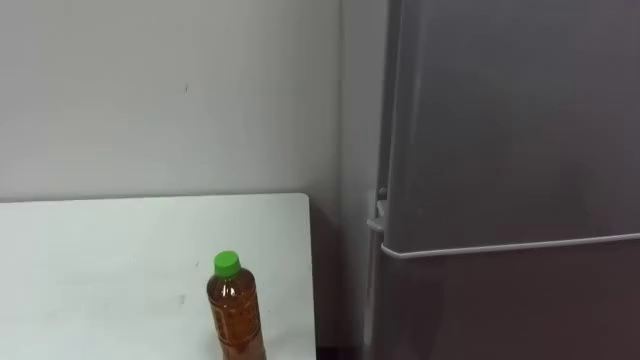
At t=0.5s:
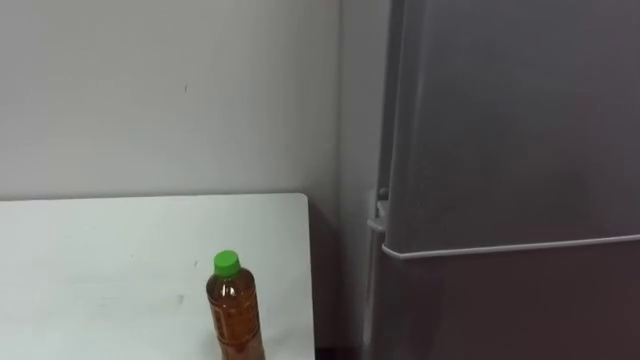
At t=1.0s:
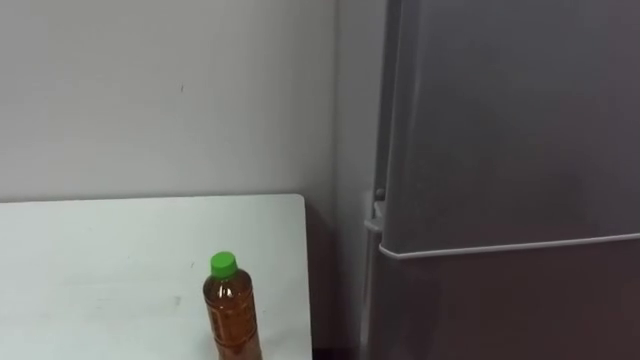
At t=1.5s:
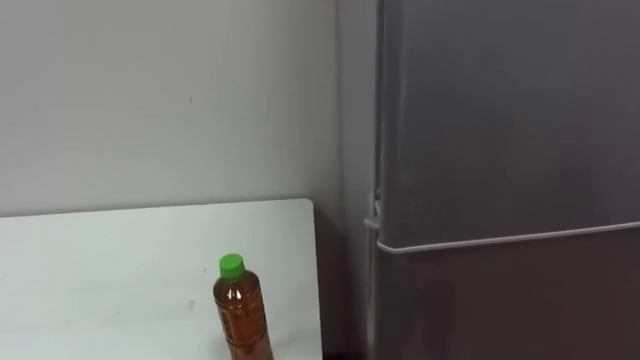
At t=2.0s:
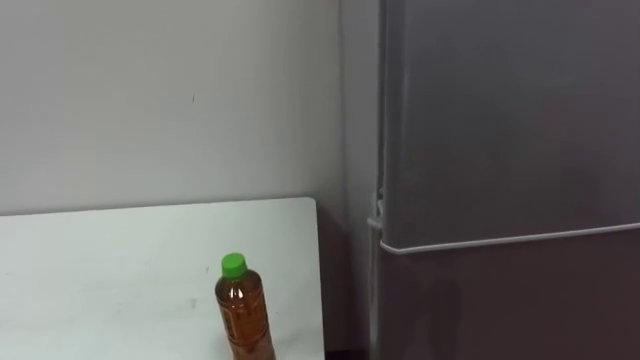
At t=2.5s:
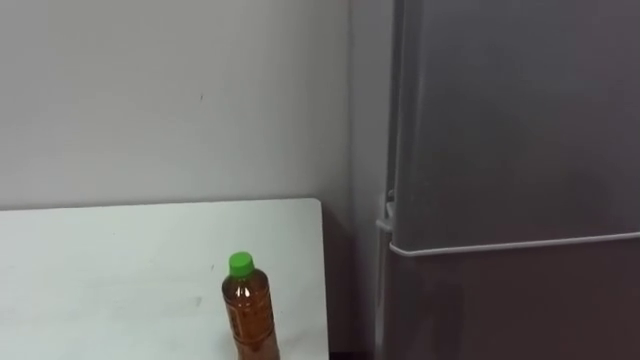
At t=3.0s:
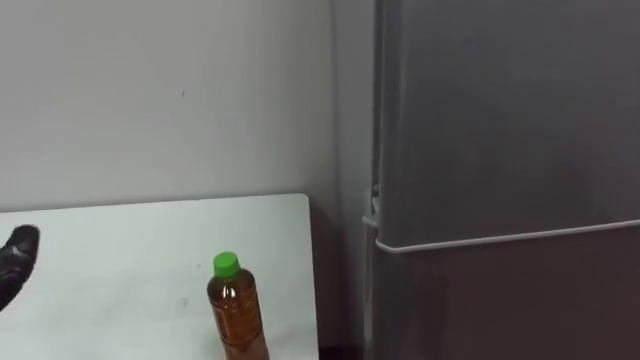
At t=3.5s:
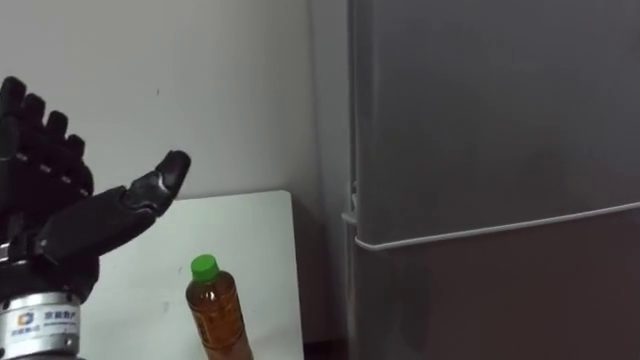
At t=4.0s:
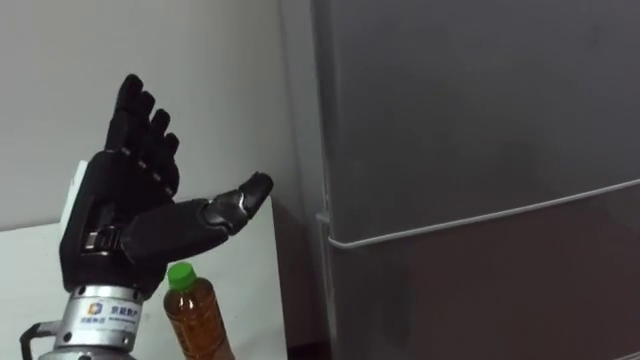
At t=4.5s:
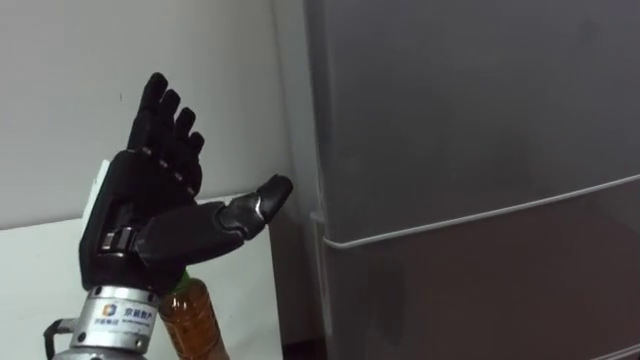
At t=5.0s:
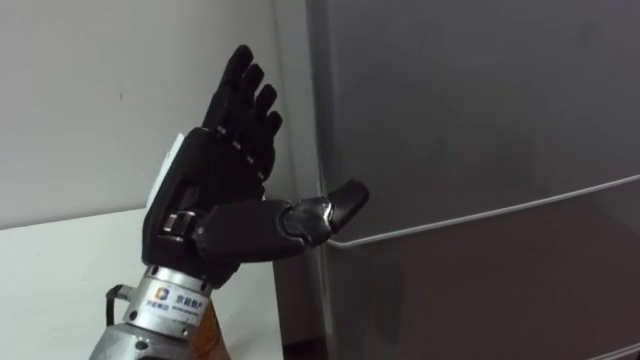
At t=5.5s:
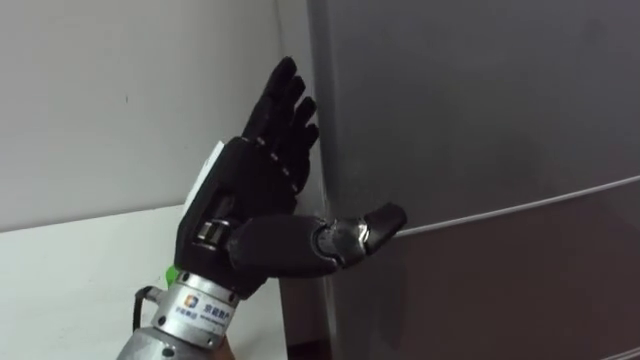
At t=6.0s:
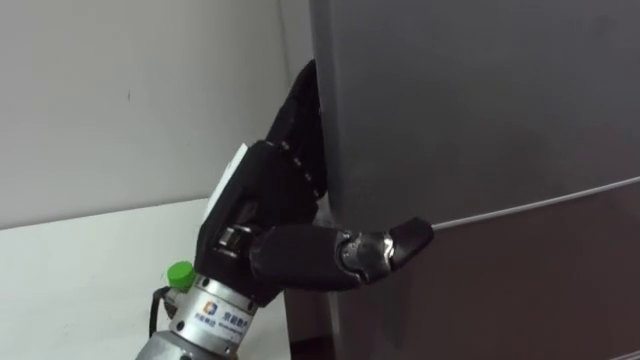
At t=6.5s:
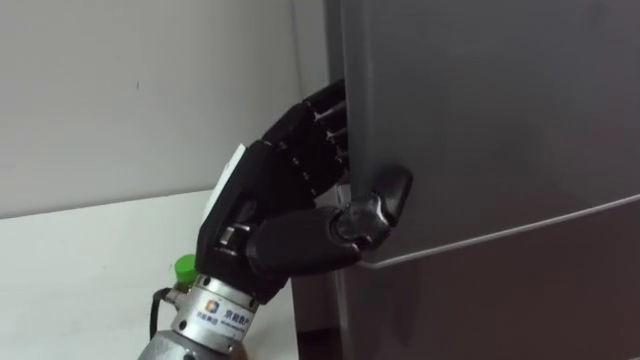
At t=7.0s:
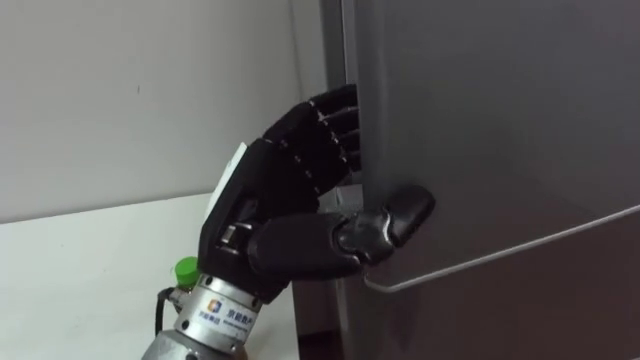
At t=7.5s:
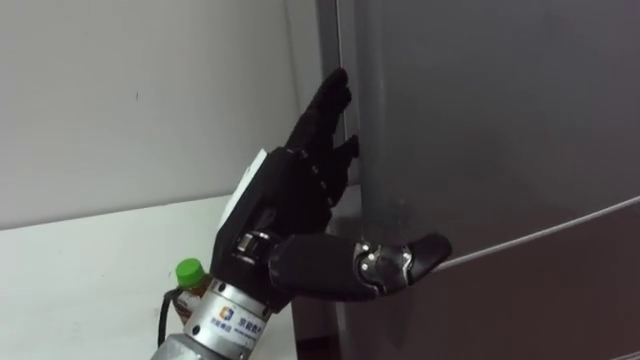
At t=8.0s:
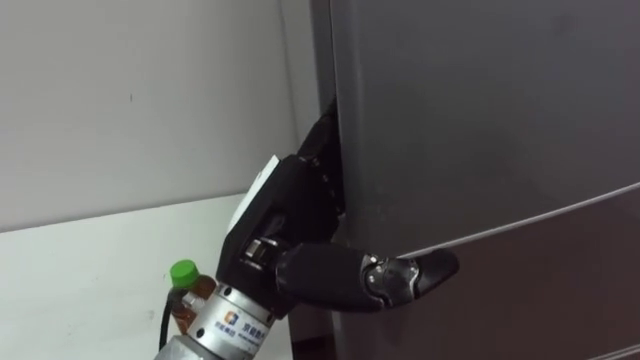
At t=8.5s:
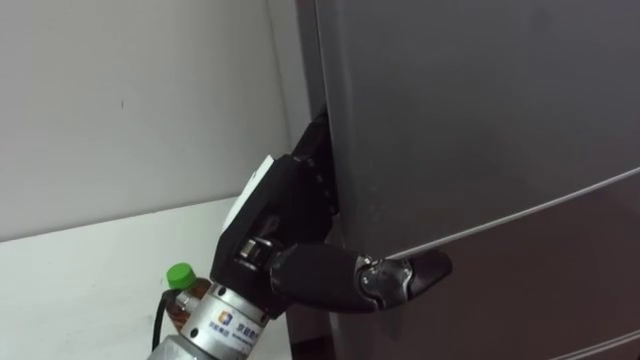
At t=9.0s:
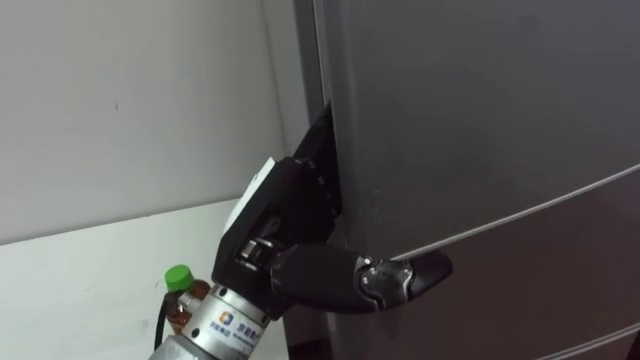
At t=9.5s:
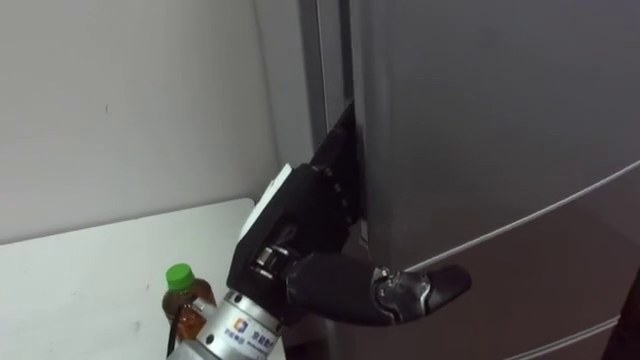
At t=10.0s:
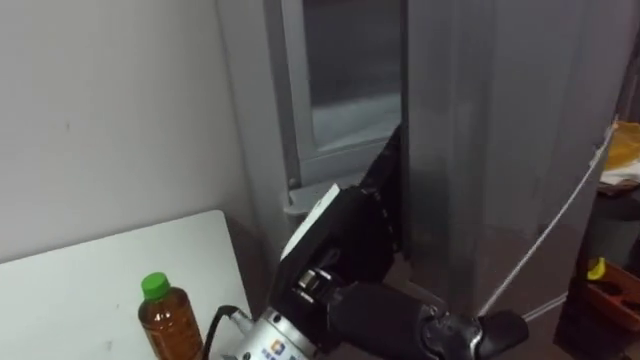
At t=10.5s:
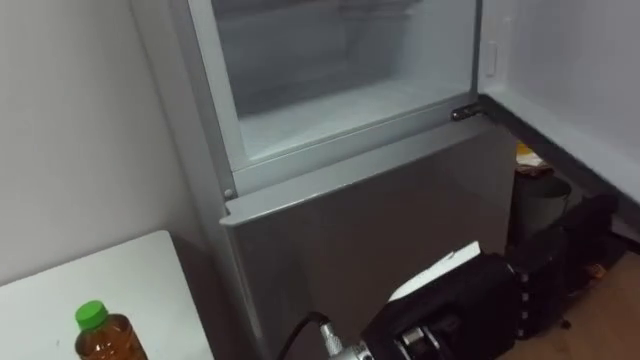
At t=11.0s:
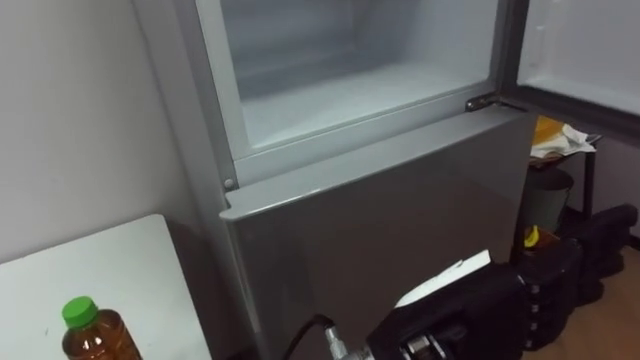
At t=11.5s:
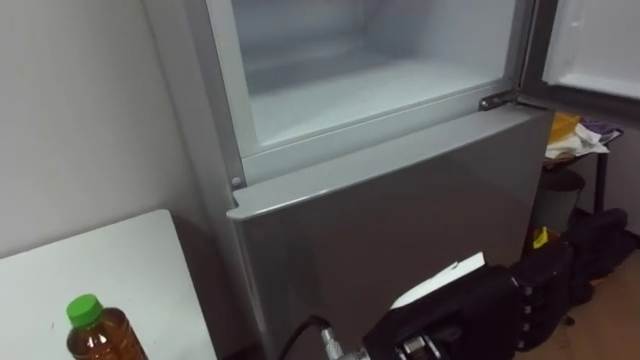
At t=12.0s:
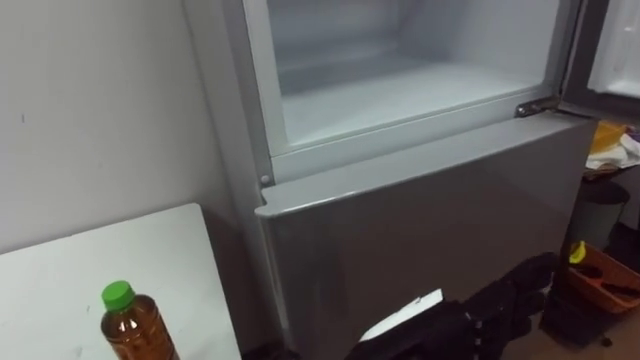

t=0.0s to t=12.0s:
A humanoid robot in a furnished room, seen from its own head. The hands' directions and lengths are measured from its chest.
Task of the whole recording: Open the upper refrigerator door, put the drink from the table into the refrigerator, and then close the refrigerator door.
t=4.0s to t=6.0s: The left hand shifts about 10 cm to the right.
t=6.0s to t=8.0s: The left hand closes, then reopens.
t=10.0s to t=12.0s: The left hand shifts about 10 cm downward and to the right.

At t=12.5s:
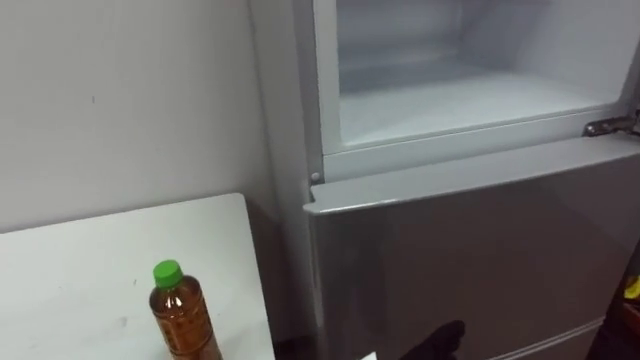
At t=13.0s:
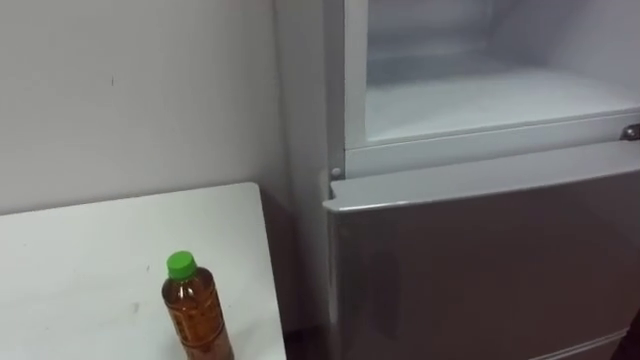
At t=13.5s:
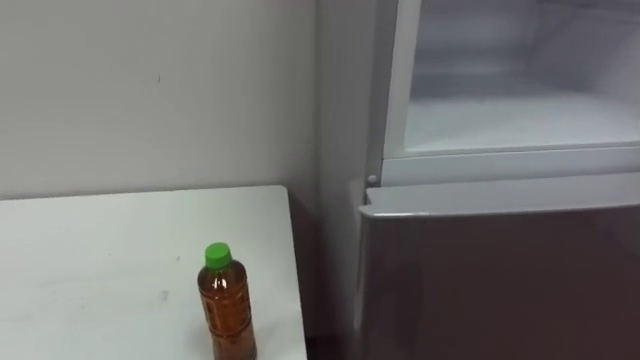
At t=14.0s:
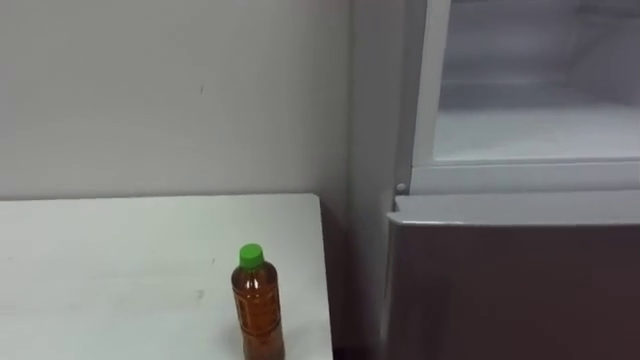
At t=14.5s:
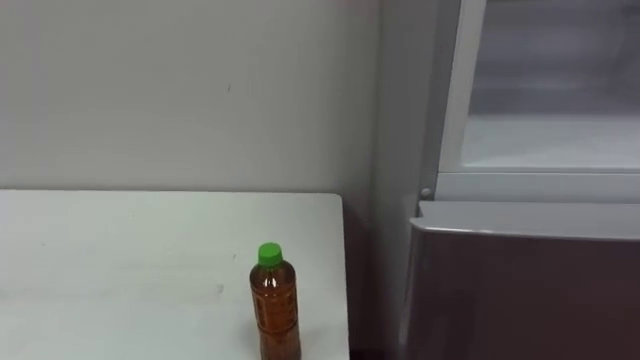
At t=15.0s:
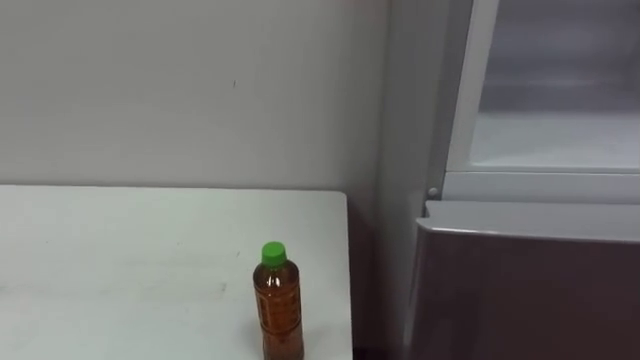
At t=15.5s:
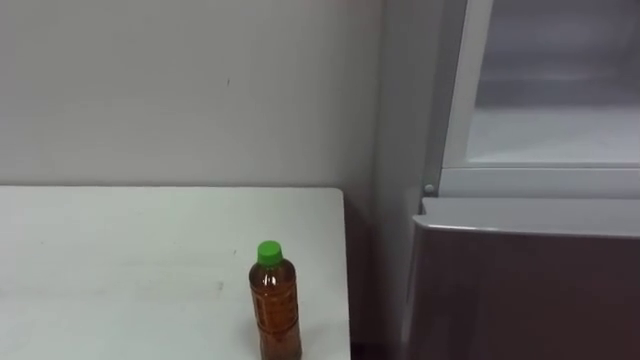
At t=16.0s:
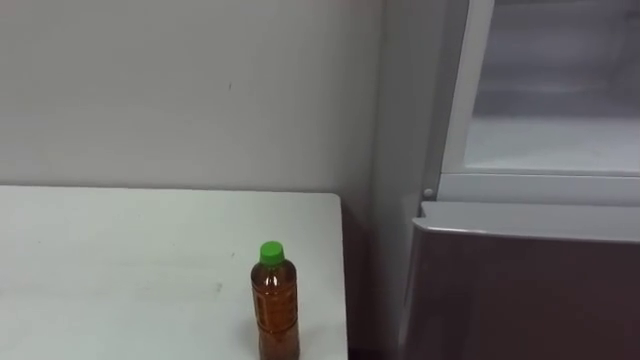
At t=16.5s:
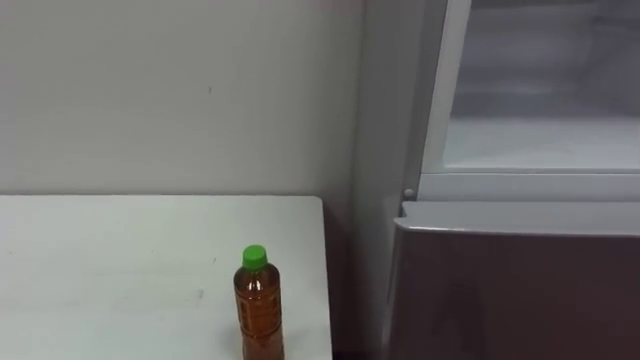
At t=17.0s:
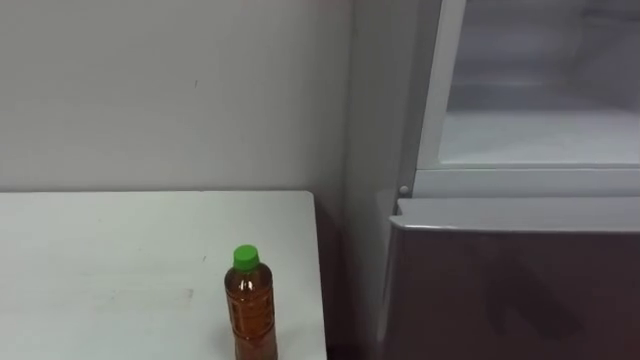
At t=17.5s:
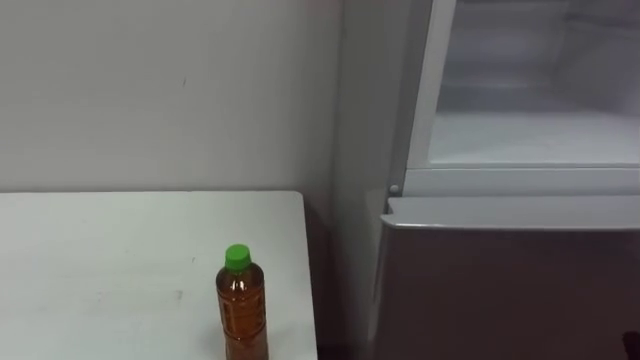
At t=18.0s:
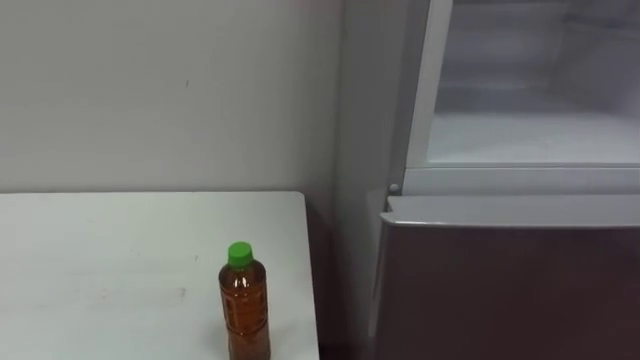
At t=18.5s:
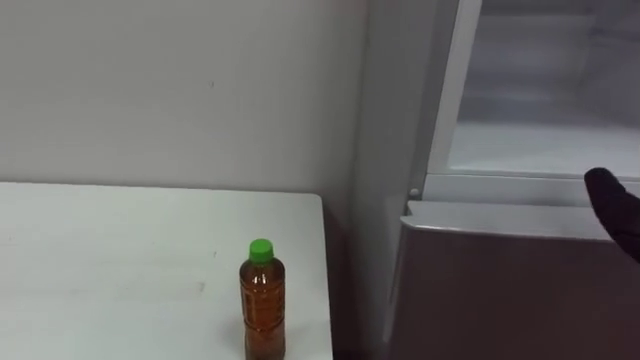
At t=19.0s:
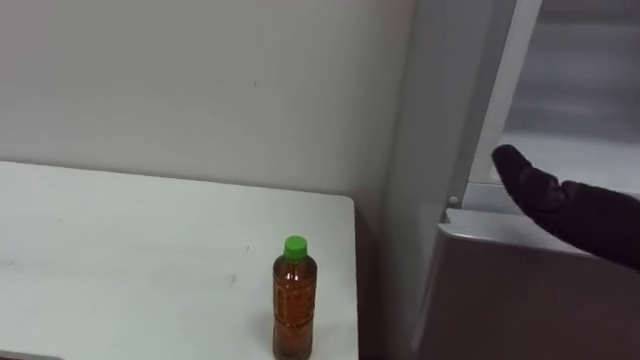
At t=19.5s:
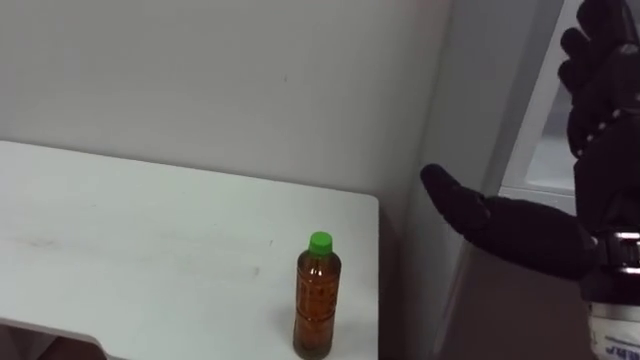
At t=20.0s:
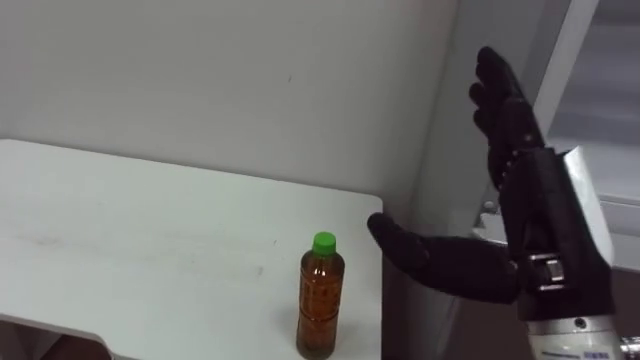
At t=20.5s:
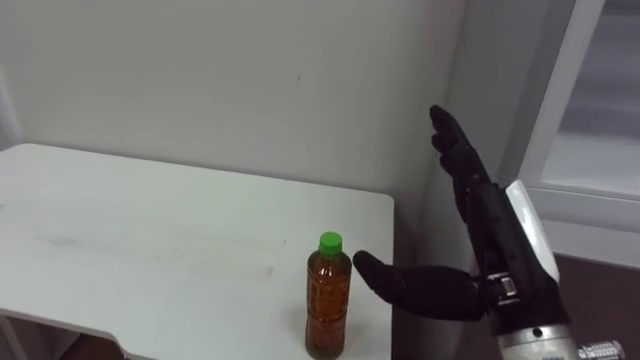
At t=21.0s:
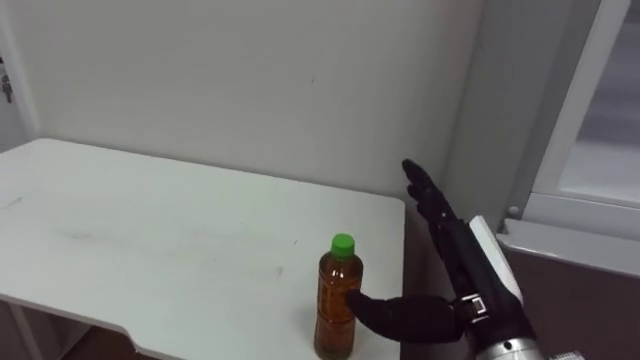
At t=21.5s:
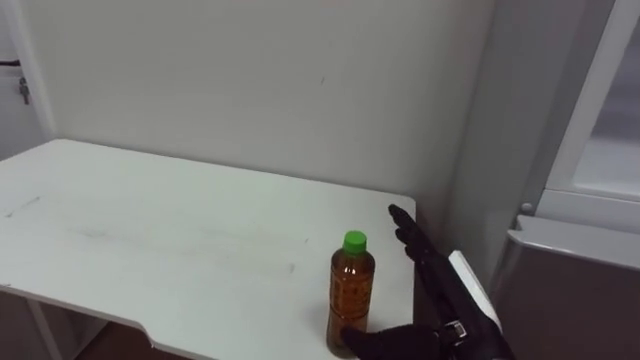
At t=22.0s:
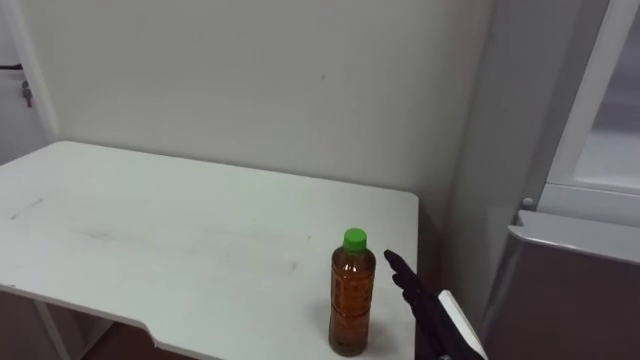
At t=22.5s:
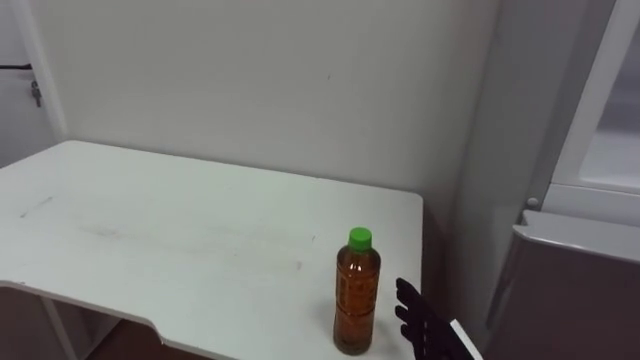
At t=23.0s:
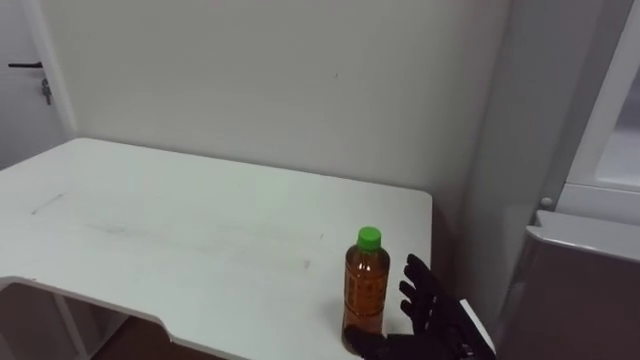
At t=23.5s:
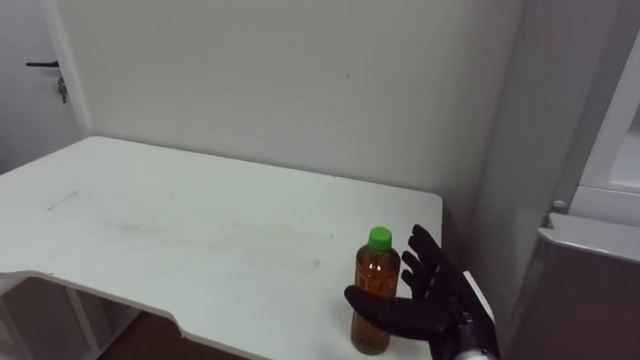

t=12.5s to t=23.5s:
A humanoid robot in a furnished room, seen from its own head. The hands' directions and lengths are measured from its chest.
Task of the whole recording: Open the upper refrigerator door, put the drink from the table into the refrigerator, and then close the refrigerator door.
t=20.0s to t=21.5s: The right hand travels downward by some 15 cm.
